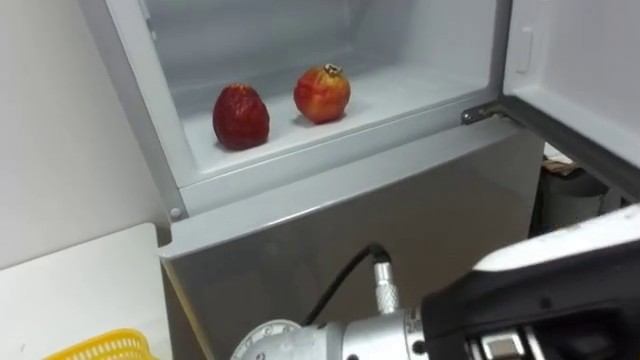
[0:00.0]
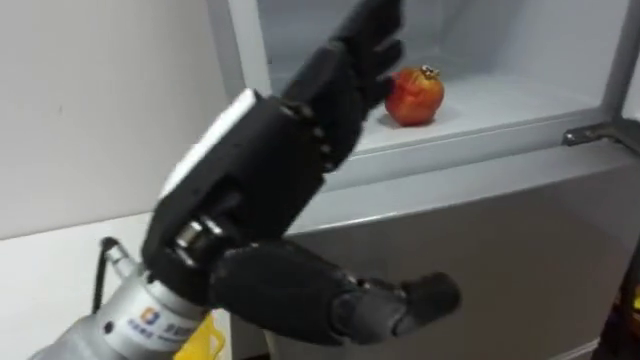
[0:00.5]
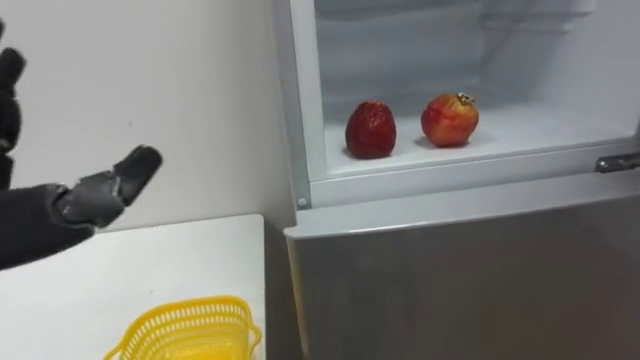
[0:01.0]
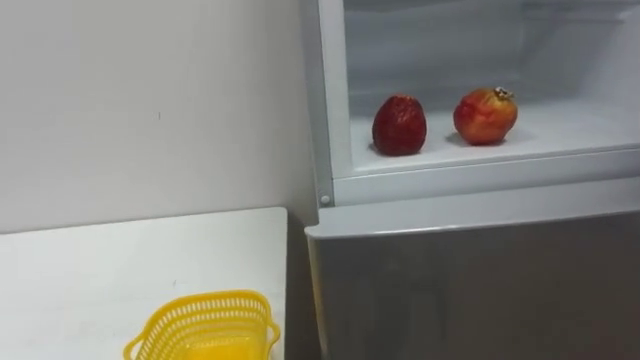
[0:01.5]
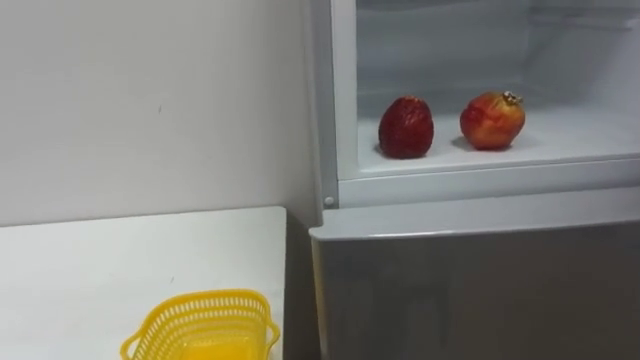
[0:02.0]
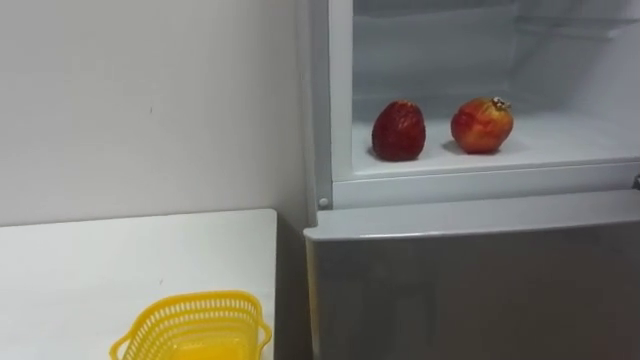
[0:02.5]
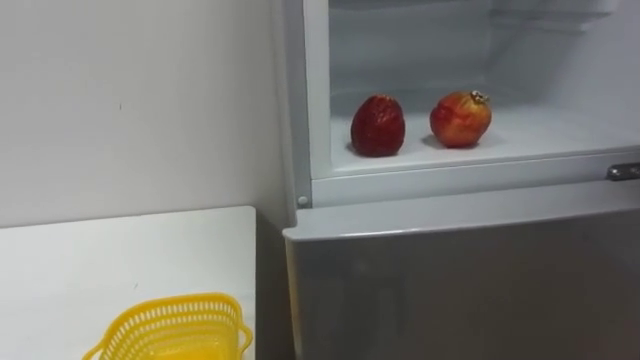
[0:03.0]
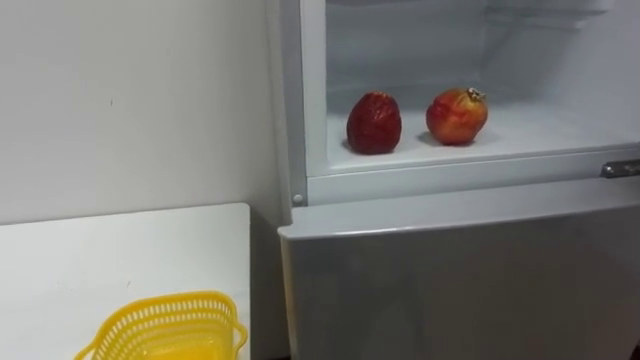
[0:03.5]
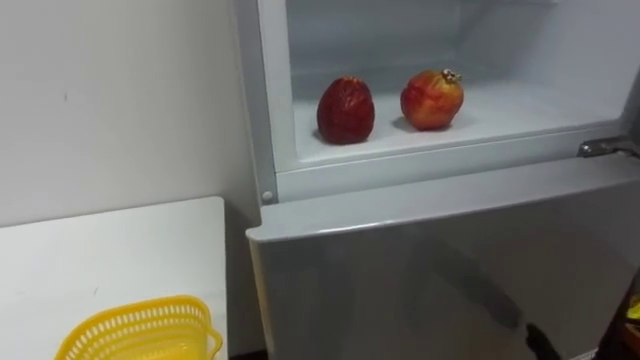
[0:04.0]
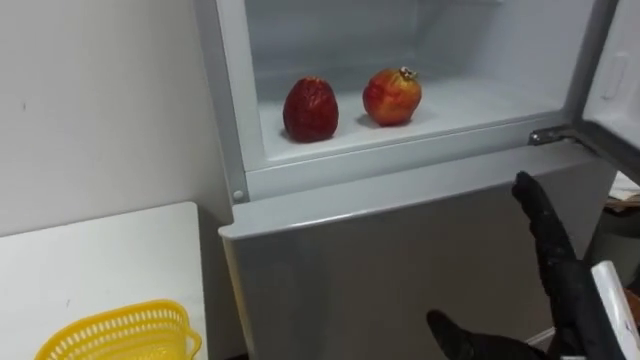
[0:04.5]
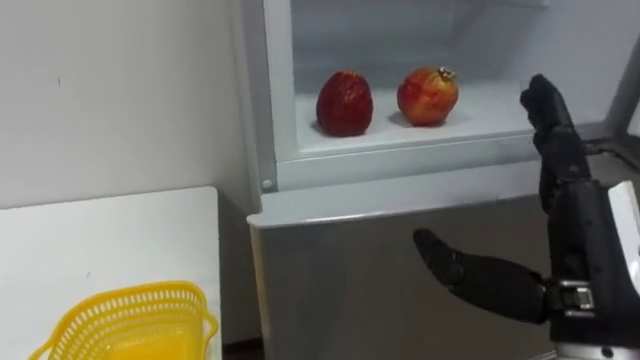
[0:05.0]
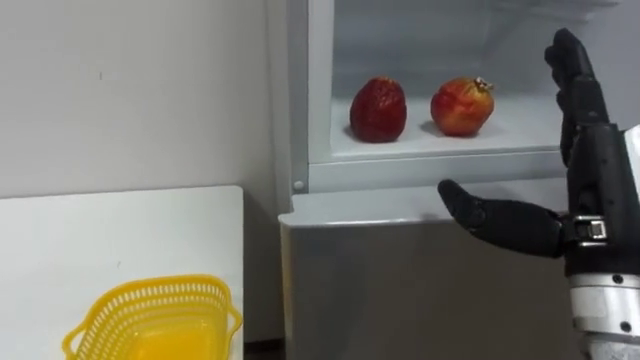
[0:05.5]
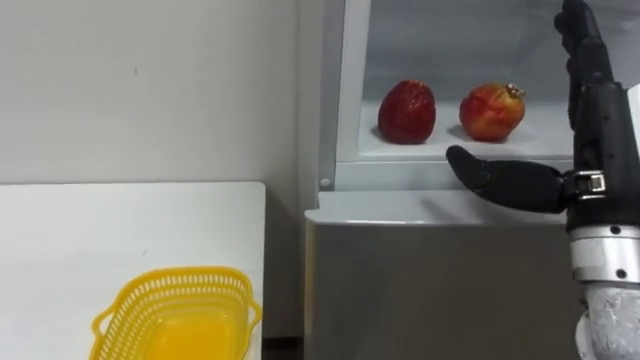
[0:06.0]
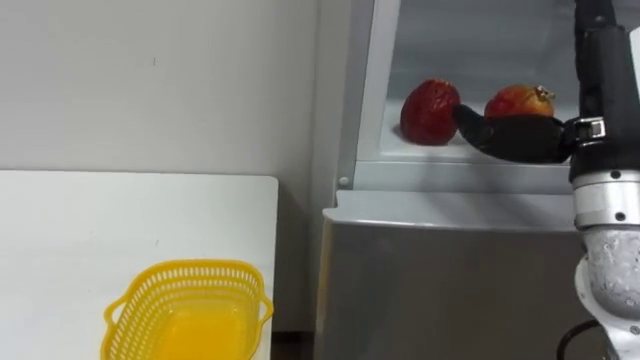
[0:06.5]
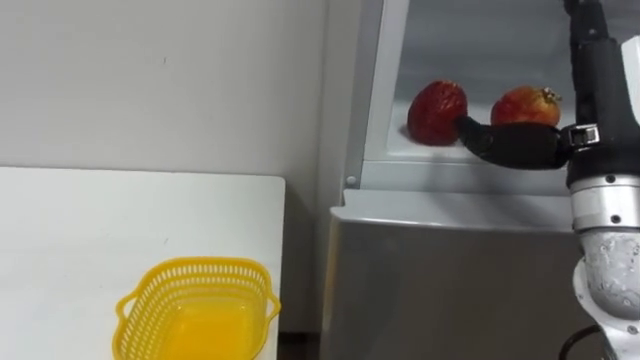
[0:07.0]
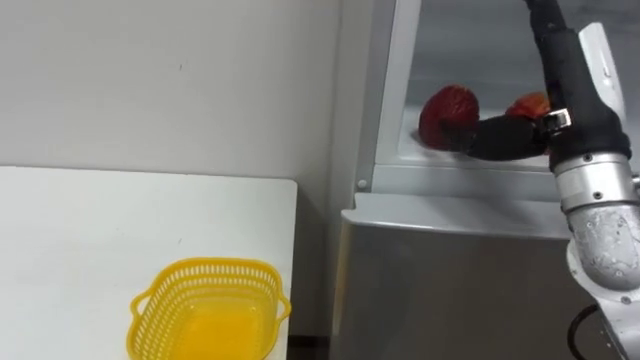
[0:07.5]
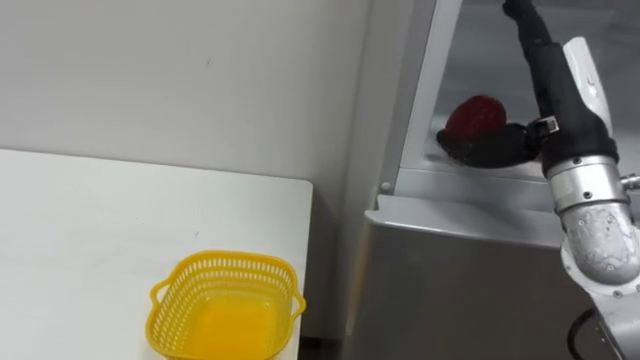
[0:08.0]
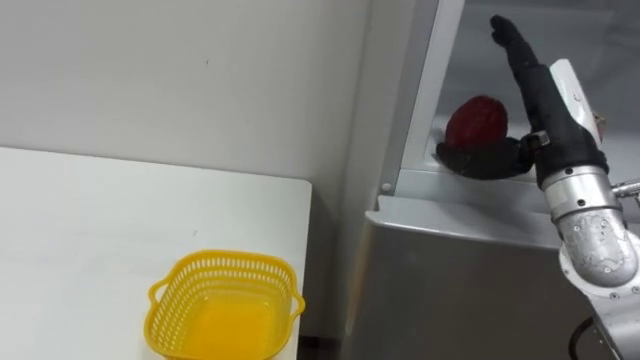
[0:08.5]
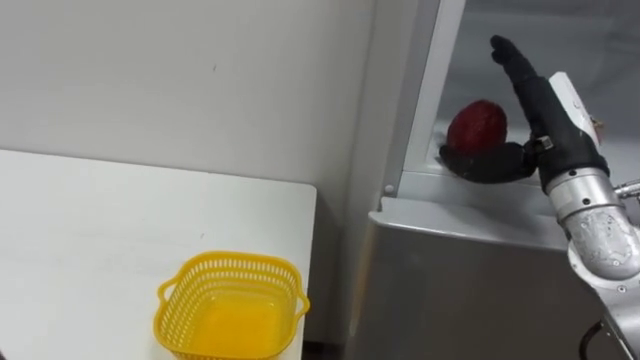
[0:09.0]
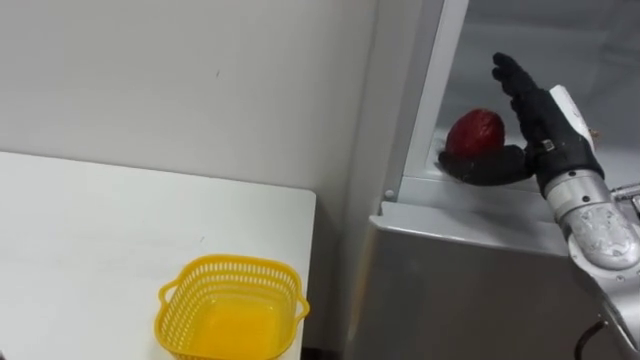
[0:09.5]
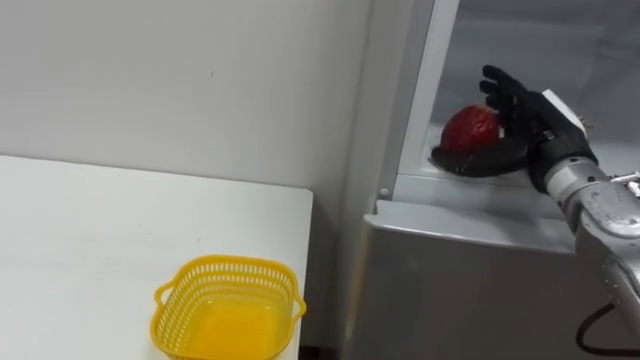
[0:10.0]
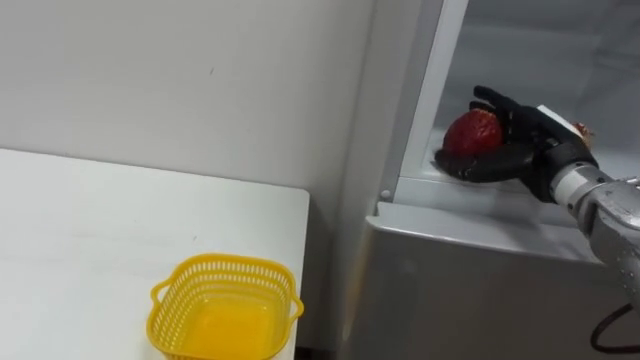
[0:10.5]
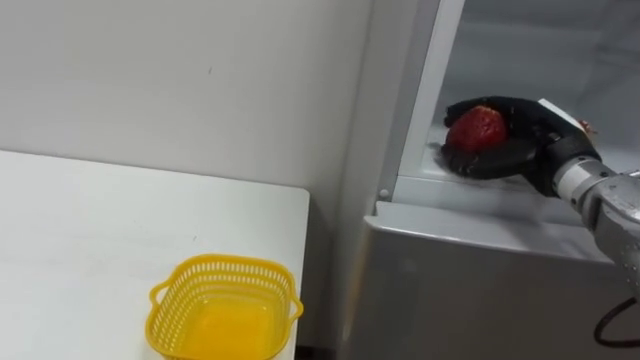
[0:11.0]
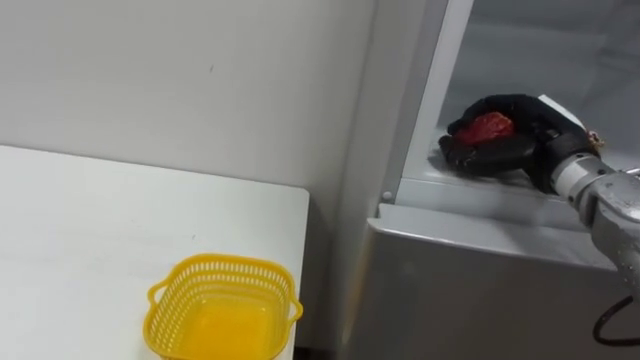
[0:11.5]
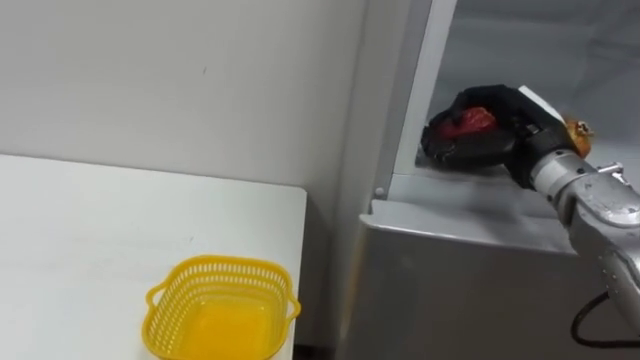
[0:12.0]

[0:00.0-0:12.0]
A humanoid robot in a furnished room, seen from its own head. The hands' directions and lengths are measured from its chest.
Task of the whole recording: Open the refrigerator door, take out the apple and the pomegranate, place them in the fruit basket on the left, and close the refrigerator door.
0:06.0 to 0:08.0: The right hand moves forward, roughly 5 cm.
0:08.0 to 0:10.0: The right hand goes about 10 cm forward and downward.
0:10.0 to 0:12.0: The right hand closes its fingers.

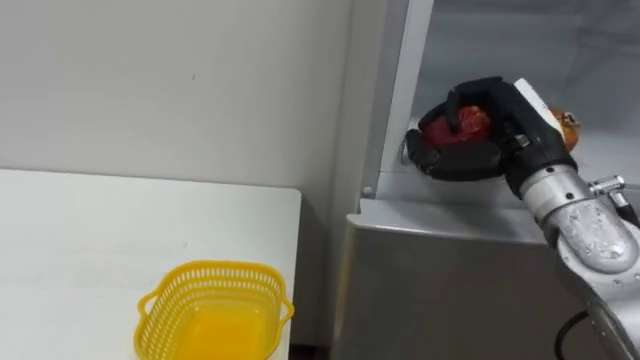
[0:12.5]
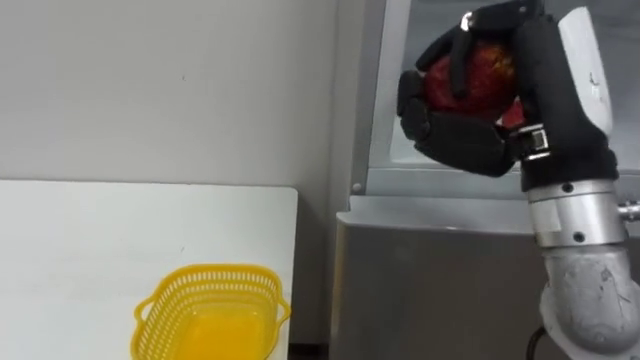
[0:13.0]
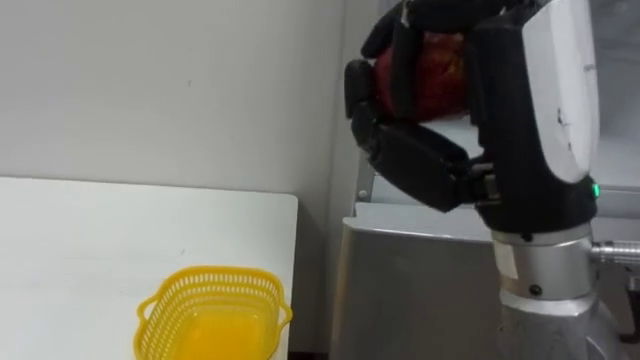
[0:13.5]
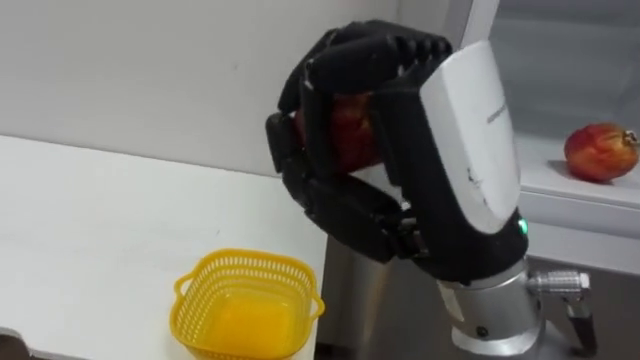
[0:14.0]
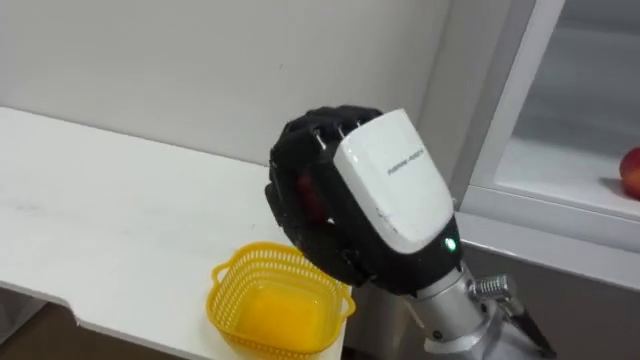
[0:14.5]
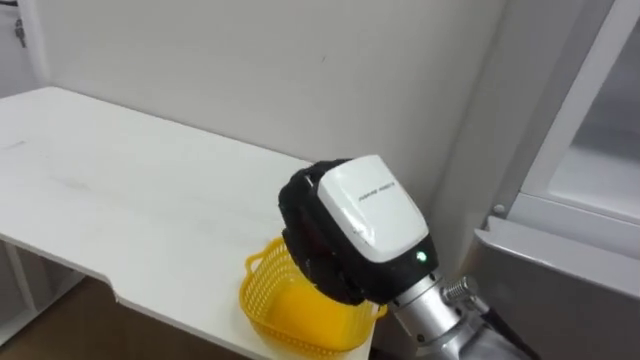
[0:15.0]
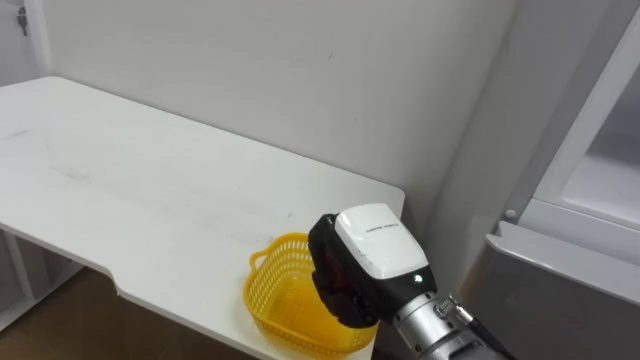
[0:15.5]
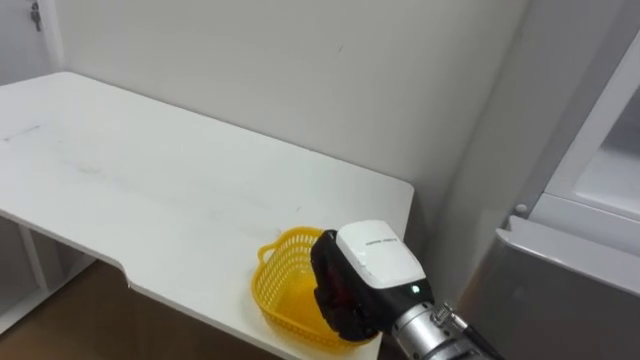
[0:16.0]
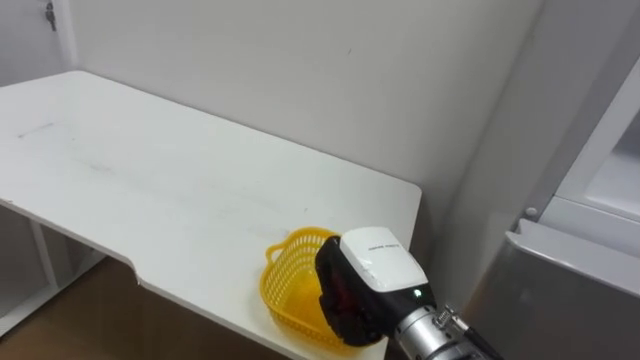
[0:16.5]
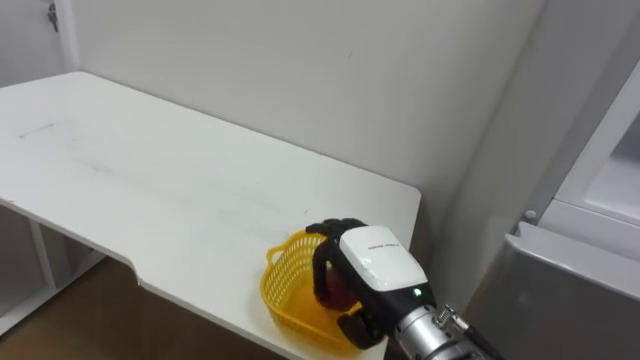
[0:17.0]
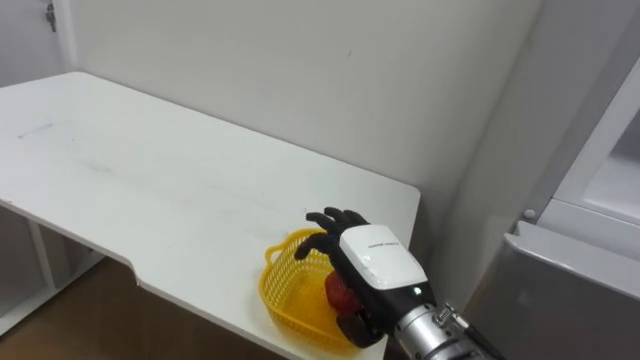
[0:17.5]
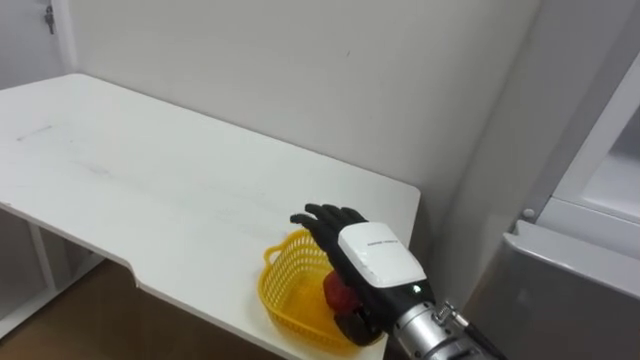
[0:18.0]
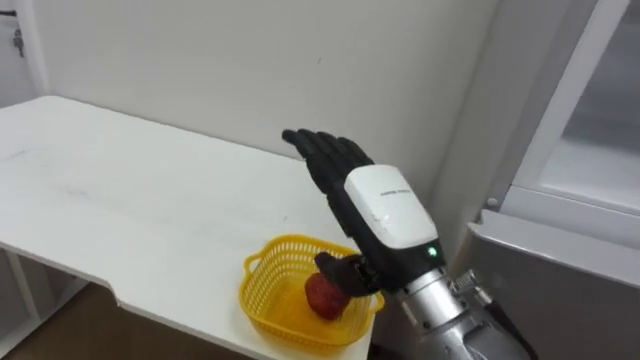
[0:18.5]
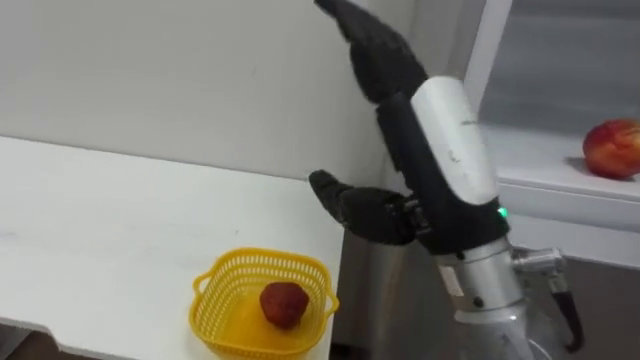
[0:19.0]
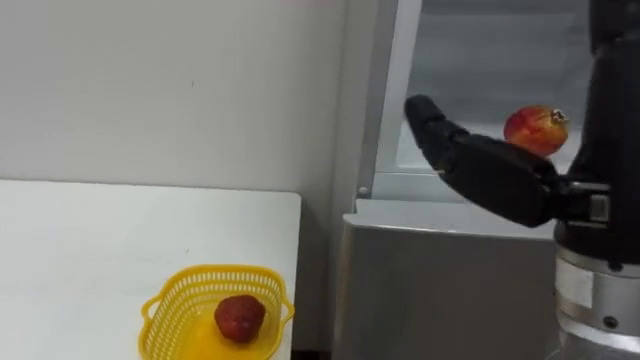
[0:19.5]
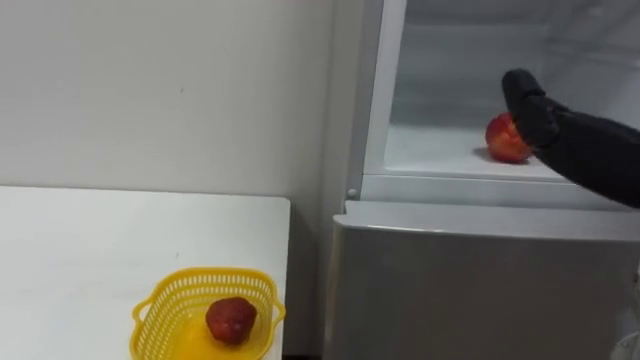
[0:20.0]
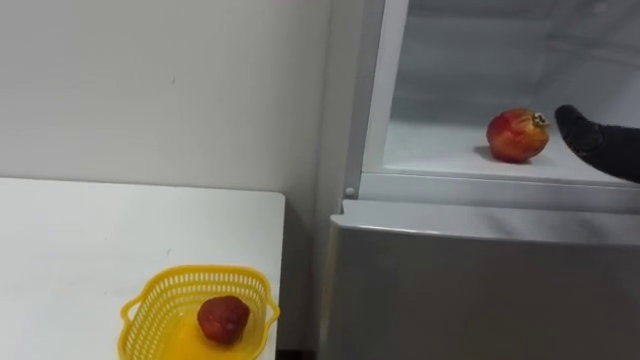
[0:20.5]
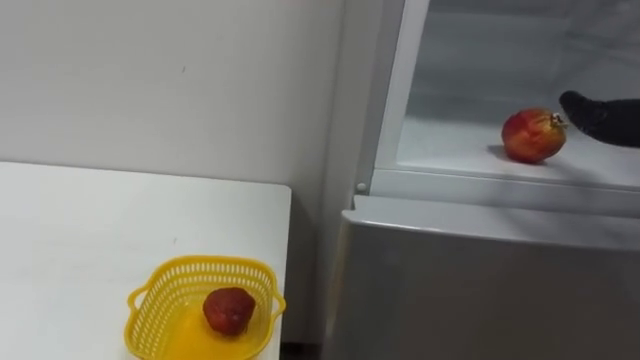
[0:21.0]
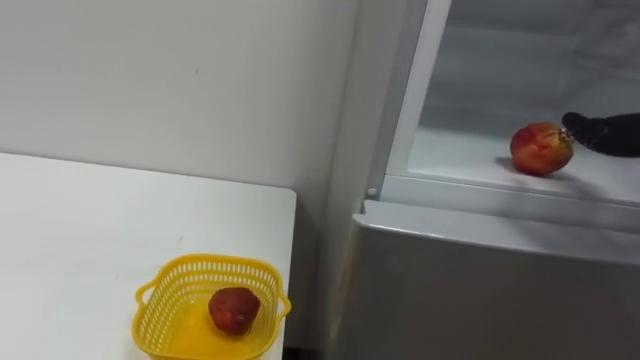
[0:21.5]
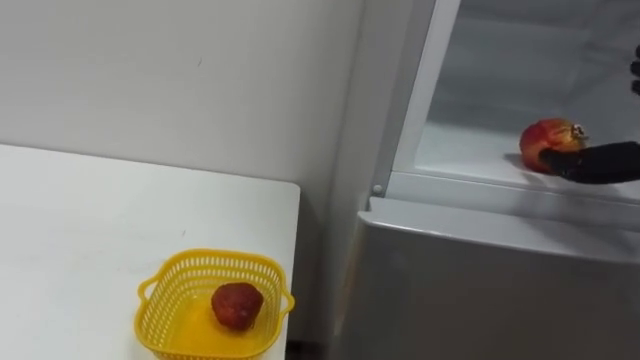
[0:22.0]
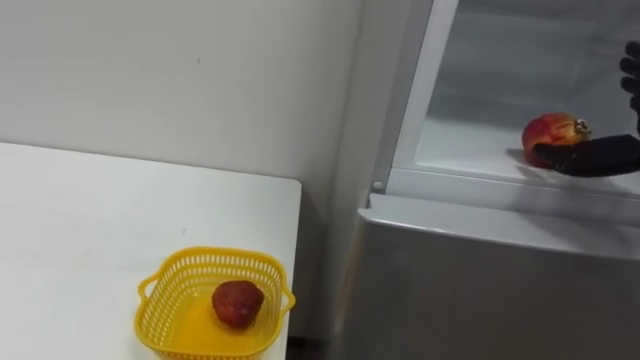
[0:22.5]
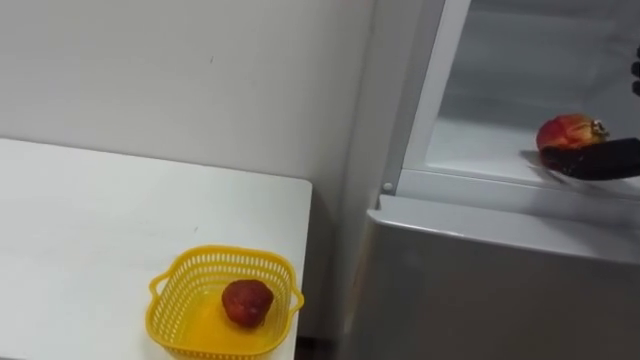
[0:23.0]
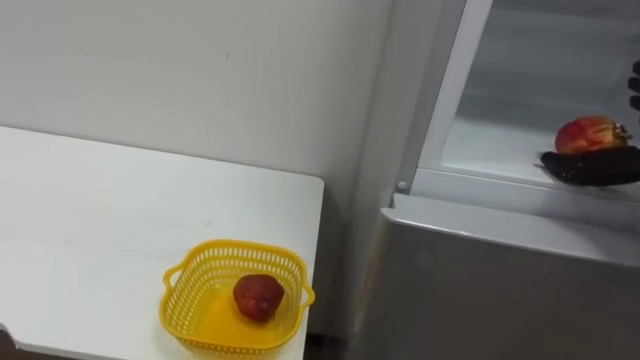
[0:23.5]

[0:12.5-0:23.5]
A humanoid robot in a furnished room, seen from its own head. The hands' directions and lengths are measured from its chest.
Task of the whole recording: Open the refrigerator door, take out the apple and the pomegranate, place them in the fruit basket on the left, and close the refrigerator door.
0:12.5 to 0:14.5: The right hand heads to the left and backward, covering roughly 20 cm.
0:14.5 to 0:16.0: The right hand goes roughly 15 cm downward and forward.
0:16.0 to 0:18.0: The right hand opens its fingers.
